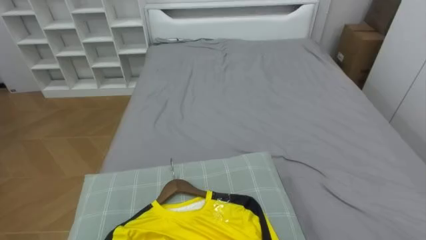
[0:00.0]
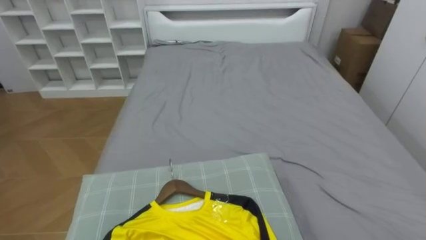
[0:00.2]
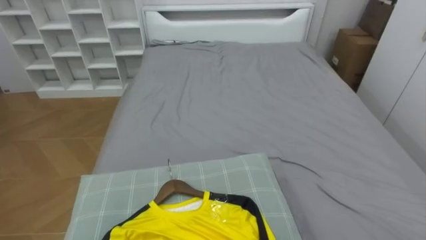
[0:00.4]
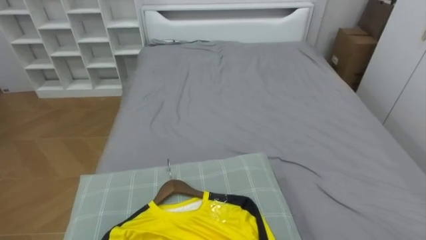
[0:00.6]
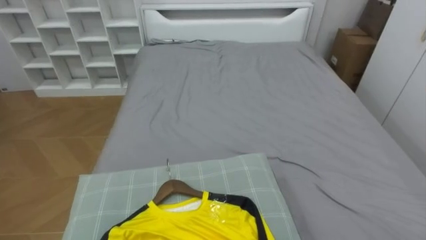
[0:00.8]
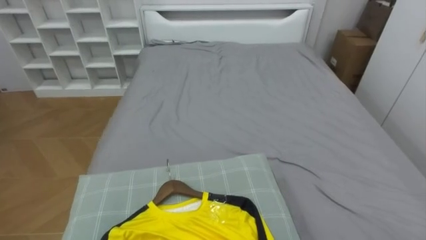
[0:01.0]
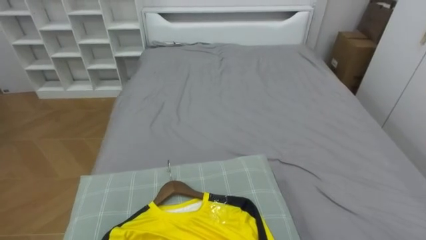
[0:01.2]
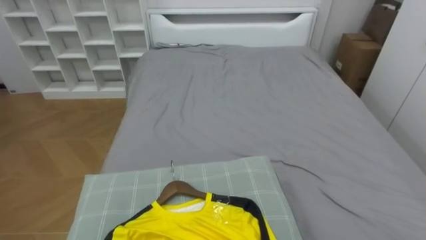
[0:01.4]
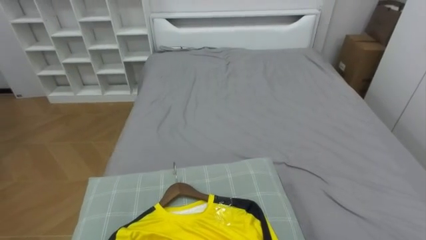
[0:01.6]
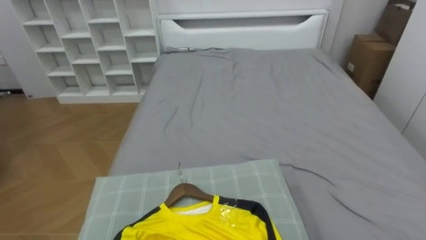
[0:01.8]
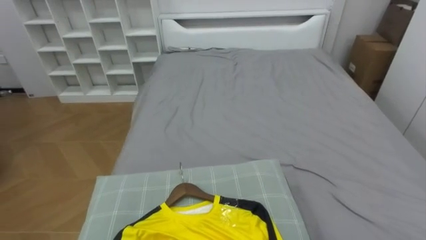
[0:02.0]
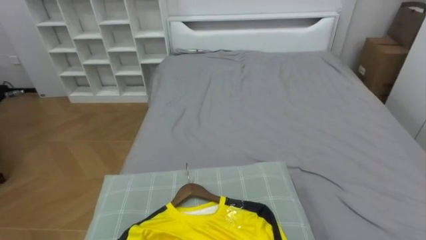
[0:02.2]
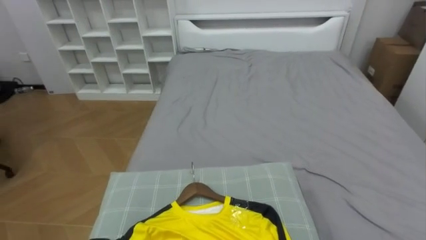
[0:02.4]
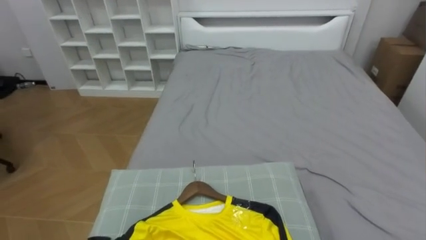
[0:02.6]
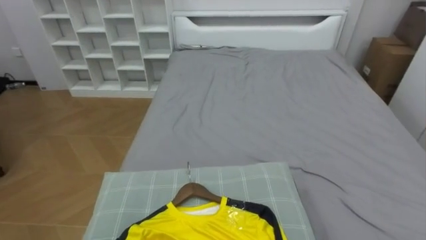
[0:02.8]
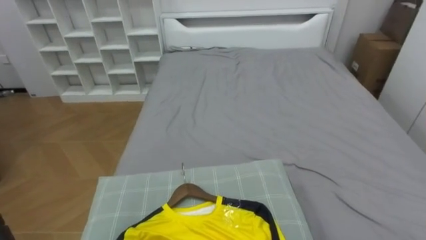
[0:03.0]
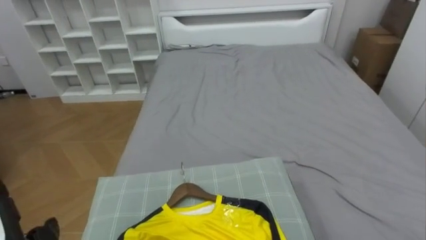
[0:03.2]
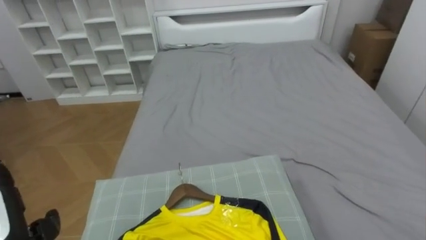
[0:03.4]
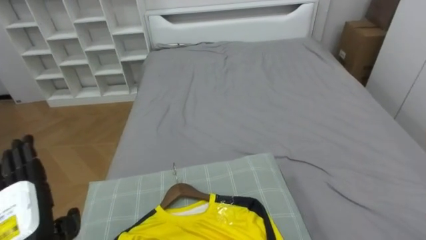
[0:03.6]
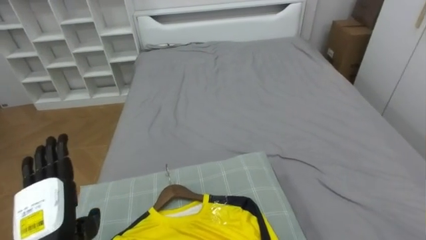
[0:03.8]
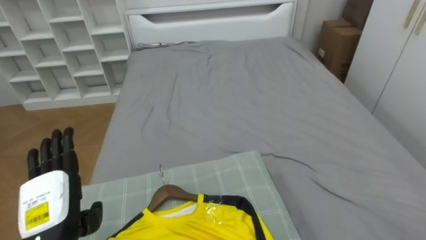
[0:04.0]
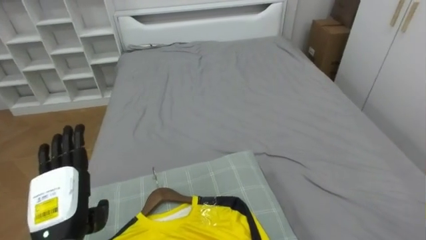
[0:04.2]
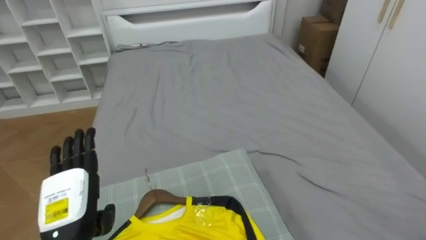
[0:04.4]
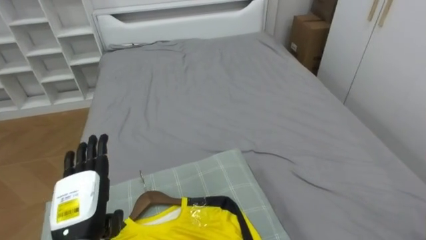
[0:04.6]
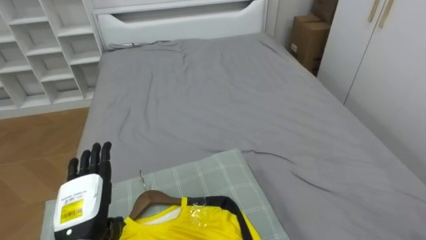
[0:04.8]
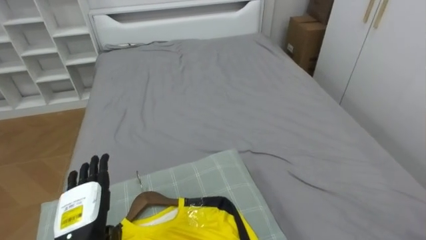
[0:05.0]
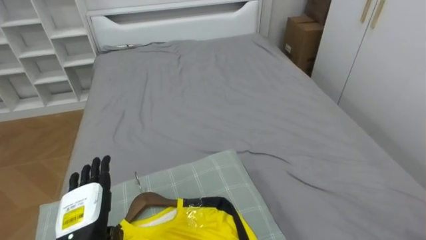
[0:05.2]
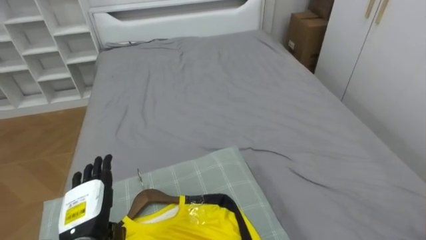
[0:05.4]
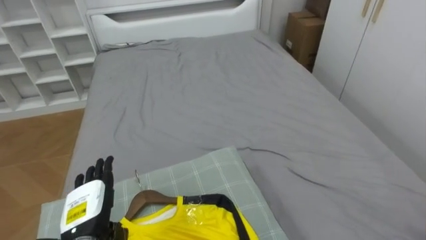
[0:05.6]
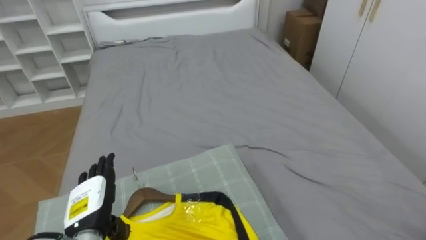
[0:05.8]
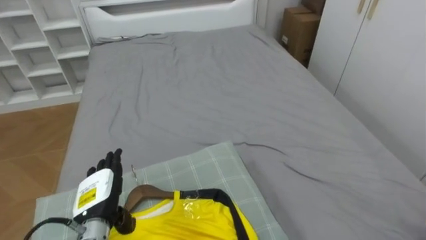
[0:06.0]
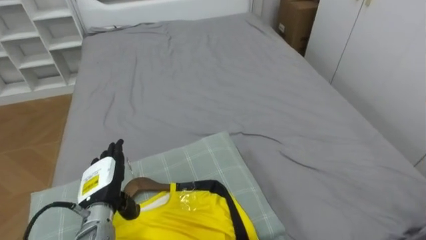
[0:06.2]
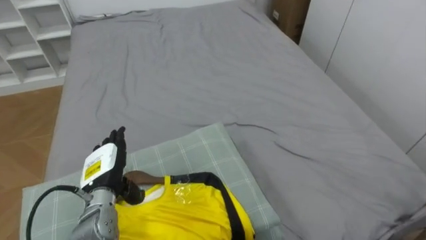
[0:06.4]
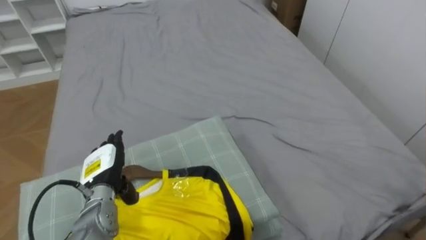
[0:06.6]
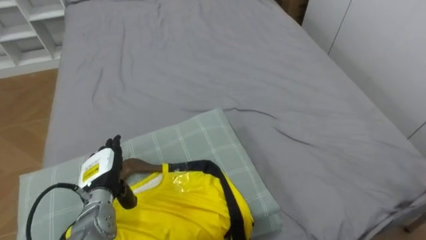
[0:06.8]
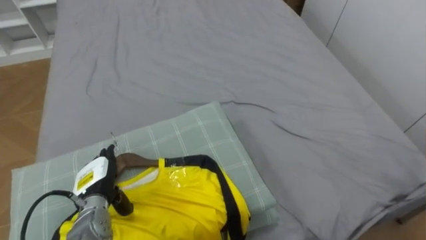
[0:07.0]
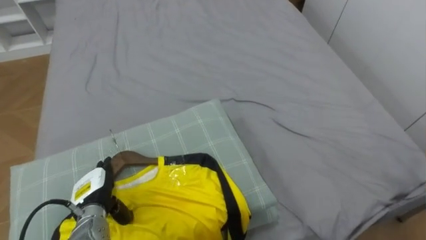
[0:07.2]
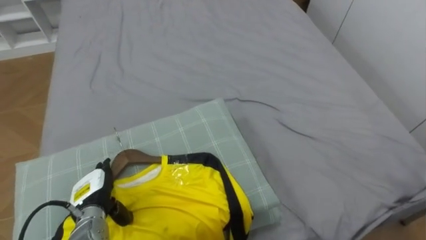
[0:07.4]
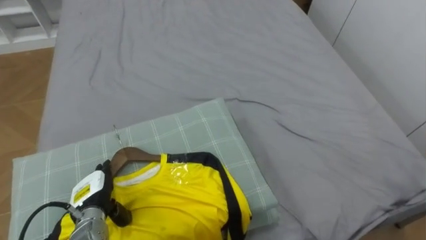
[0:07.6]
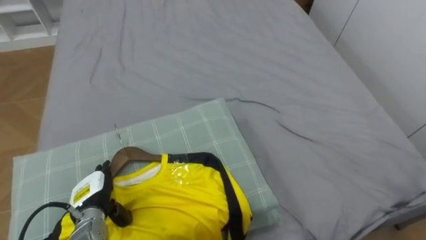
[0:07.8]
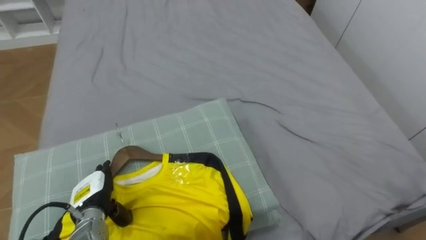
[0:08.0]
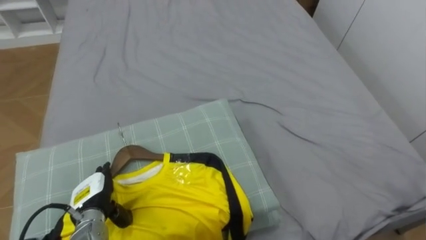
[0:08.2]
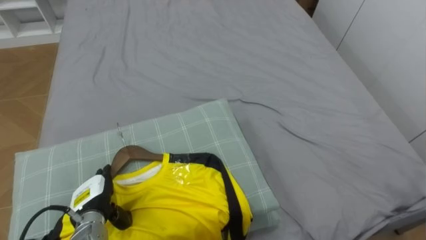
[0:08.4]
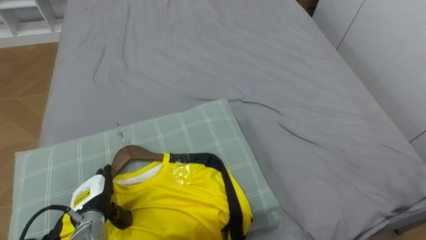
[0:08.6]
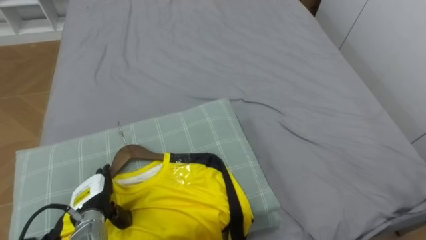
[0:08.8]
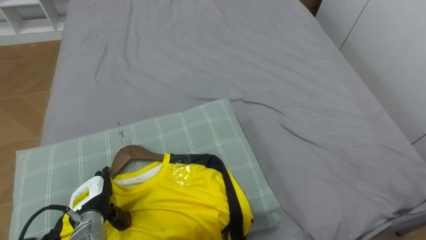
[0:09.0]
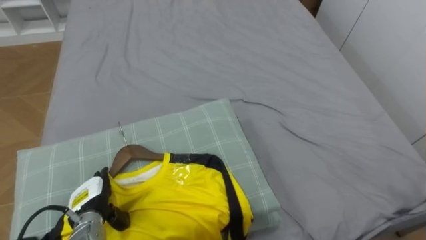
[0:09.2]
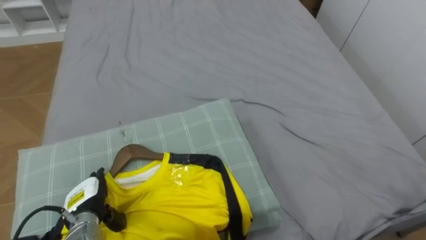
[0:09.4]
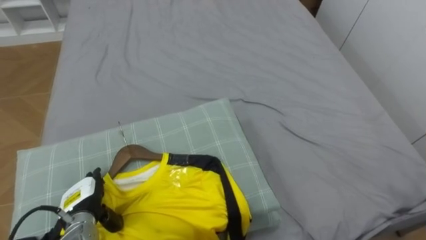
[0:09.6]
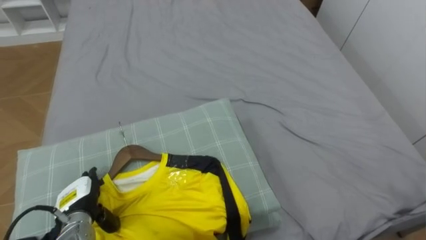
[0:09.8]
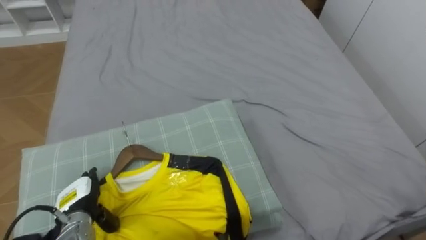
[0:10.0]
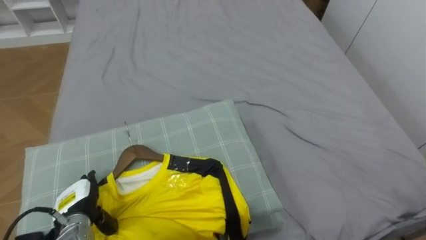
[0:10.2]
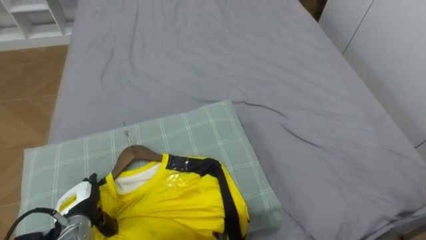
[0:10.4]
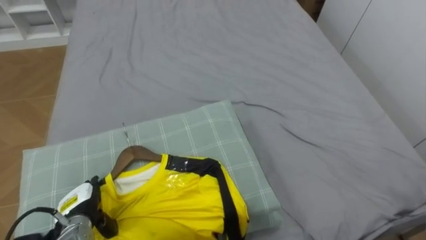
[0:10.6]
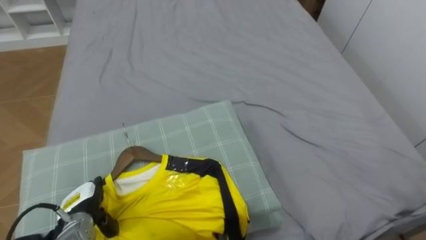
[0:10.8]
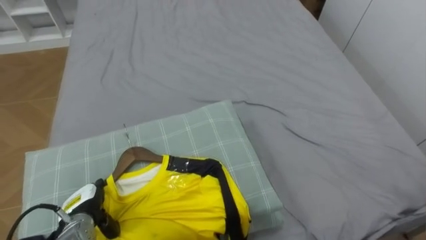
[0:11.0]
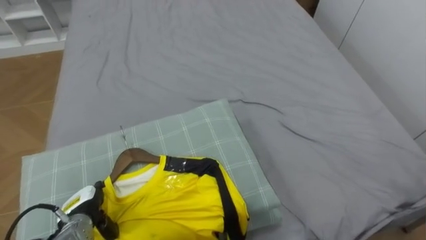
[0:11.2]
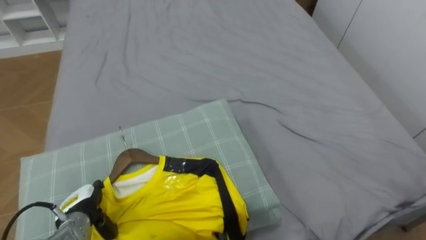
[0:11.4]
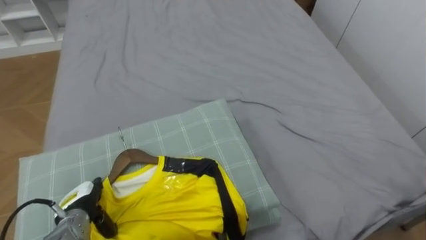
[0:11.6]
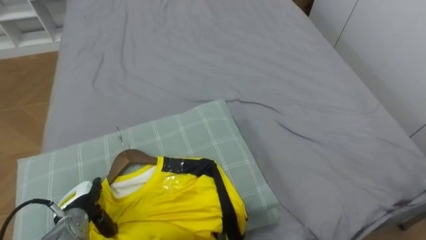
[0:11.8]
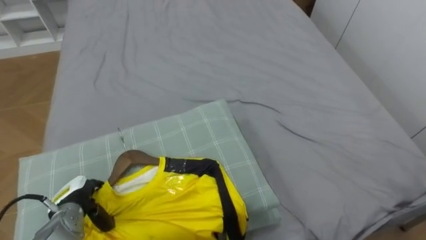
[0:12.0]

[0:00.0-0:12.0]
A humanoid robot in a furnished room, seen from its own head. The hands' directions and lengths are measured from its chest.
Task of the whole recording: Pick up the yellow shirt on the bed and hang it on the clothes rack on the right.
0:04.4 to 0:06.0: The left hand moves downward, some 5 cm.
0:06.0 to 0:07.6: The left hand moves roughly 5 cm.

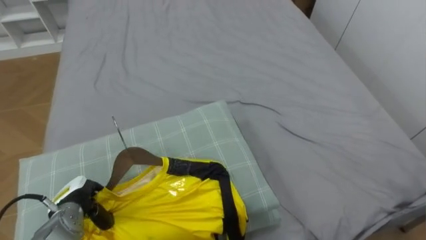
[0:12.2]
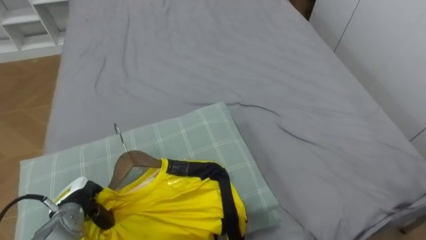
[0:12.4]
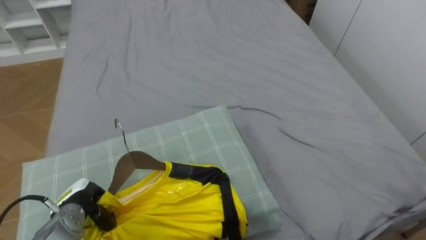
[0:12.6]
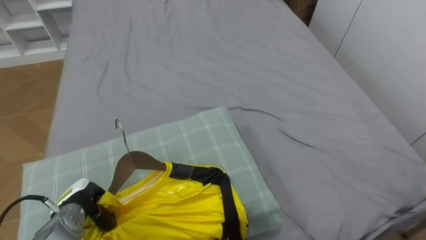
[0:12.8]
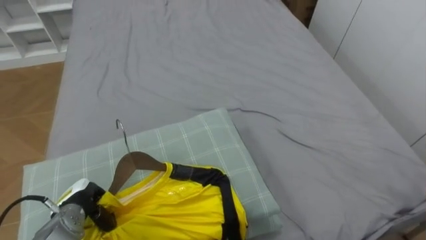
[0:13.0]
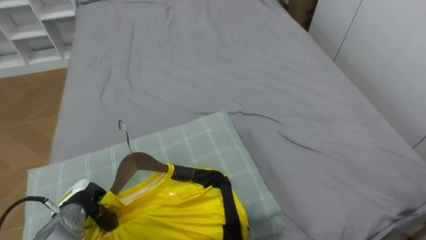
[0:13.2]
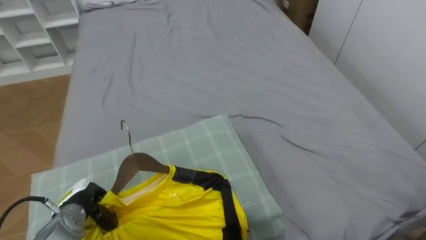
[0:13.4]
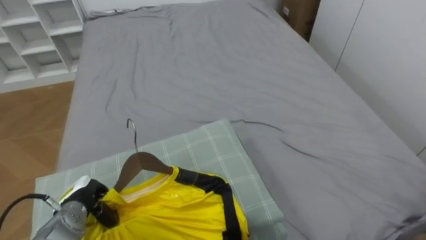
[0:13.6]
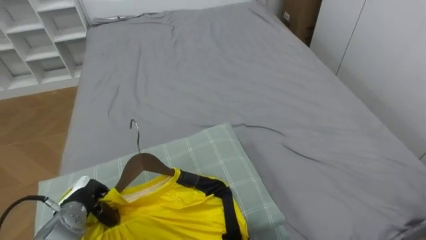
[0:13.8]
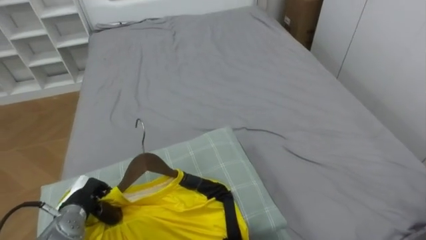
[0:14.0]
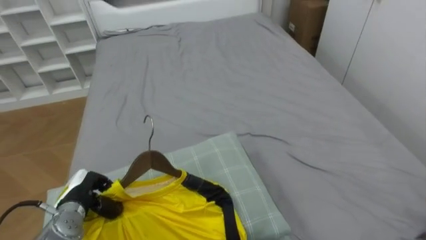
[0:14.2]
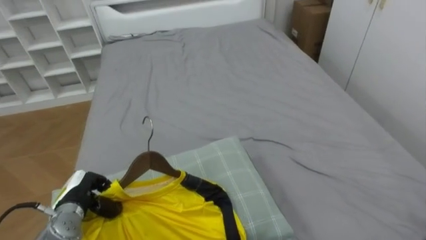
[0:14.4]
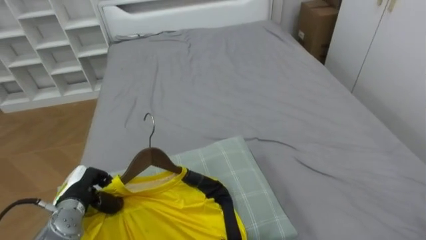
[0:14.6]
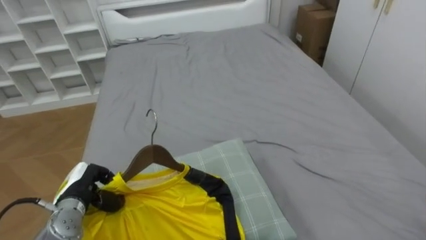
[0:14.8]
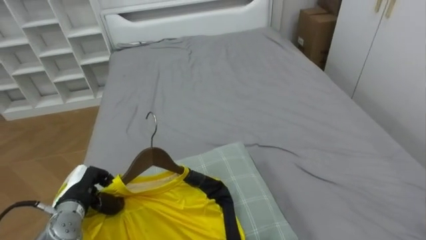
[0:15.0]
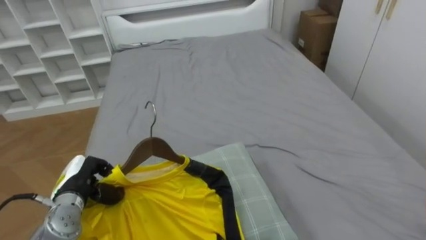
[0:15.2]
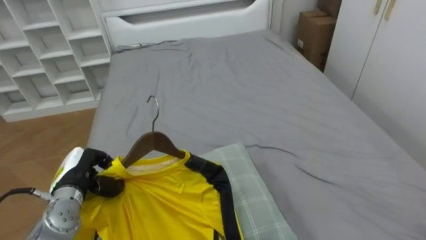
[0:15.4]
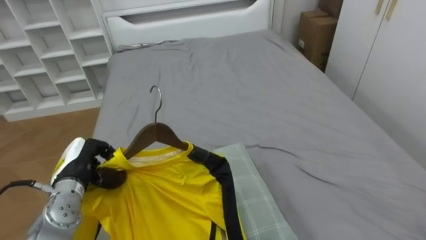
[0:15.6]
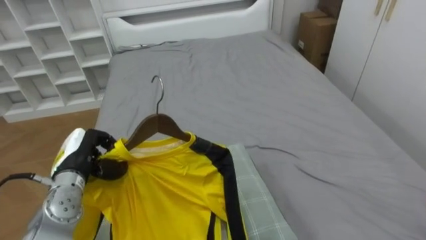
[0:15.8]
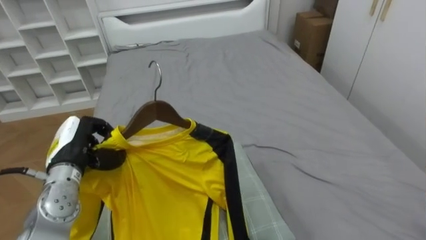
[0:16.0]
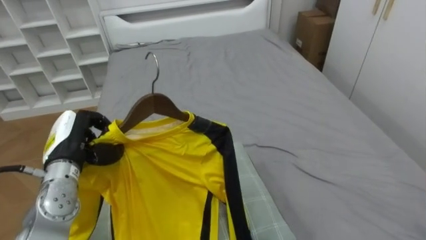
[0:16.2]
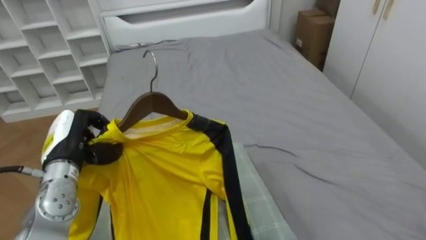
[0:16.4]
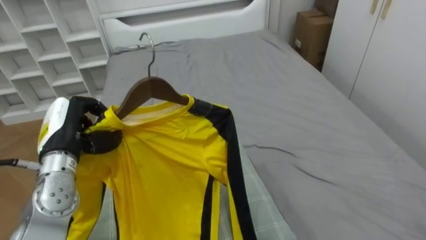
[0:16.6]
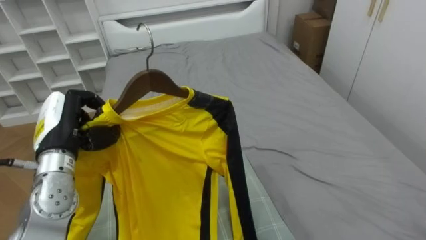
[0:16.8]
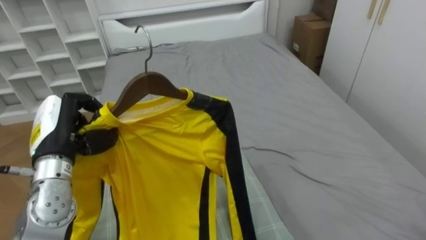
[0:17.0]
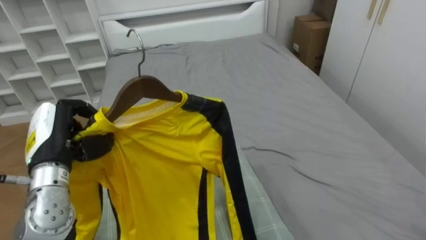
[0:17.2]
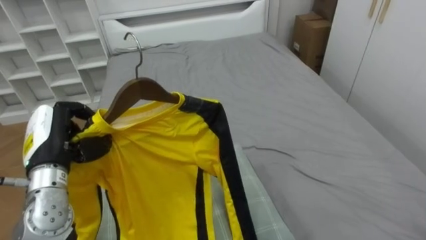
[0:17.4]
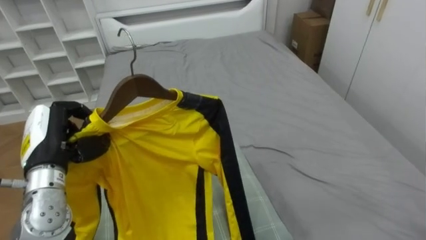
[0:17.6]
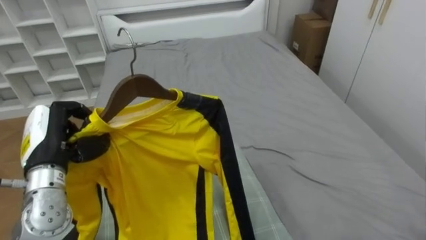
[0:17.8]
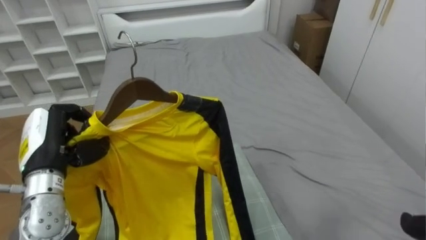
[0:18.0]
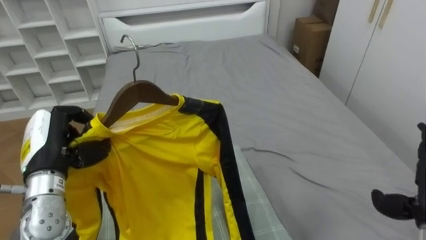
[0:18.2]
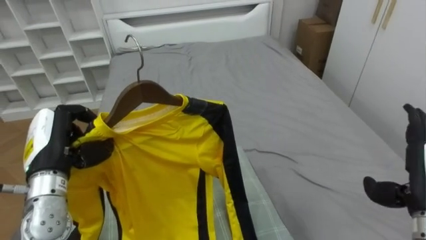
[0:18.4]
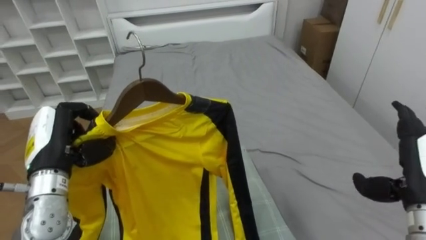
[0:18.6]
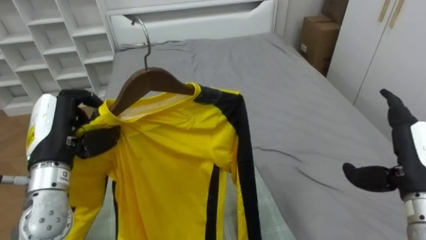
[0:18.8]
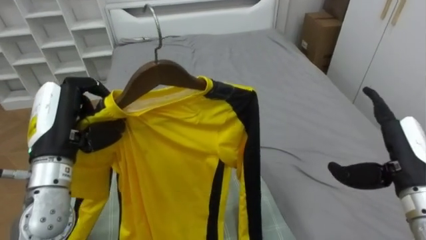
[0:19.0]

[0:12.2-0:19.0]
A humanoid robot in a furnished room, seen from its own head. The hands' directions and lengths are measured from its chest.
Task of the whole recording: Pick up the yellow shirt on the bed and hang it on the clothes rack on the right.
0:12.2 to 0:13.6: The left hand closes its fingers.
0:15.0 to 0:16.2: The left hand is displaced upward by approximately 10 cm.
0:17.6 to 0:19.0: The left hand ends up approximately 5 cm from where it was.
